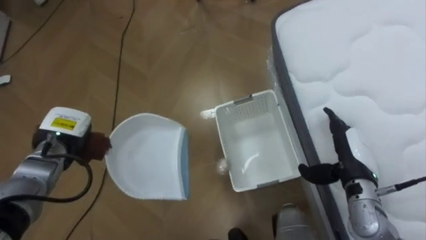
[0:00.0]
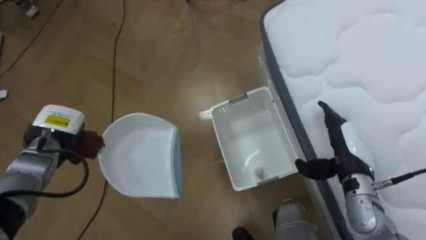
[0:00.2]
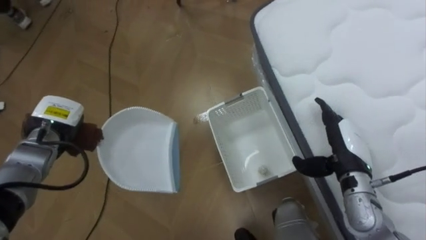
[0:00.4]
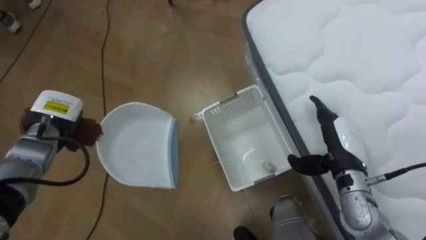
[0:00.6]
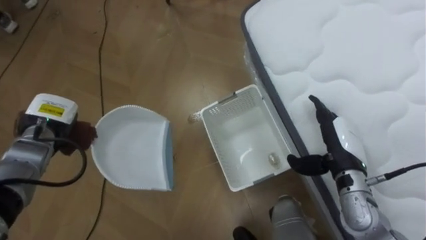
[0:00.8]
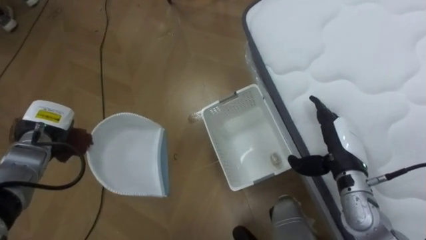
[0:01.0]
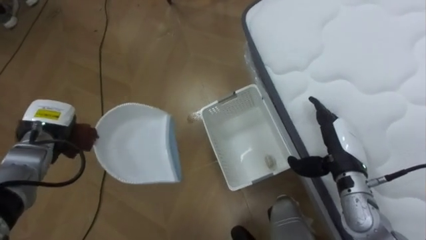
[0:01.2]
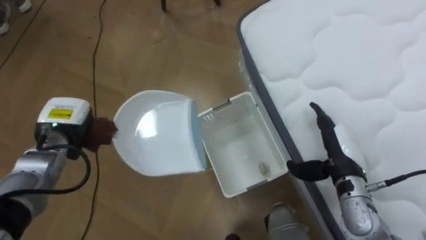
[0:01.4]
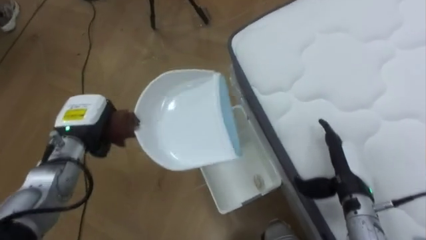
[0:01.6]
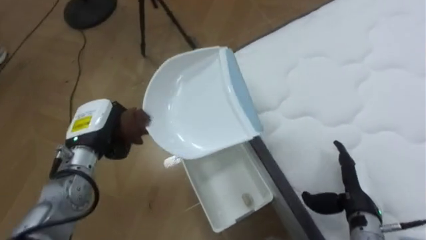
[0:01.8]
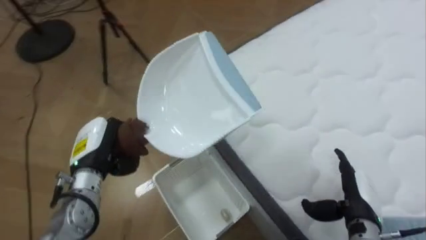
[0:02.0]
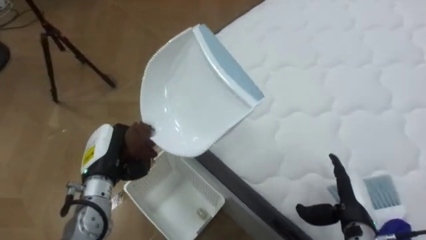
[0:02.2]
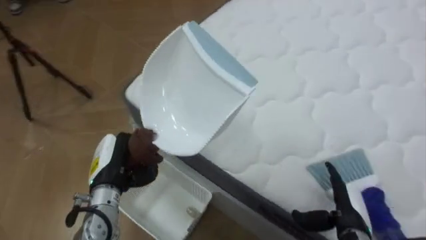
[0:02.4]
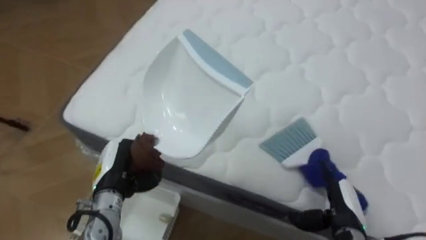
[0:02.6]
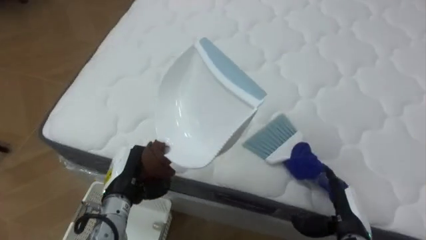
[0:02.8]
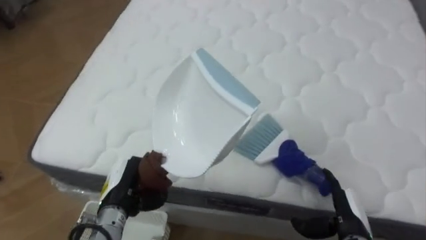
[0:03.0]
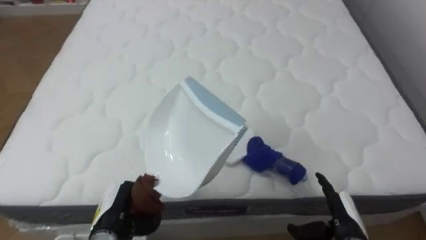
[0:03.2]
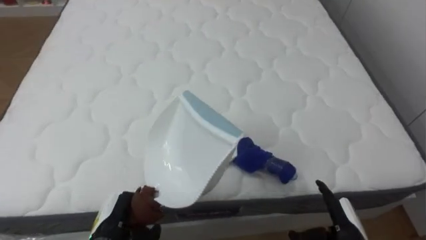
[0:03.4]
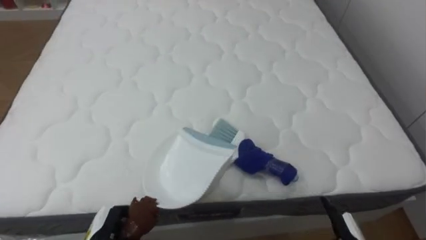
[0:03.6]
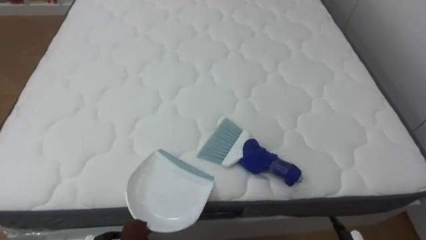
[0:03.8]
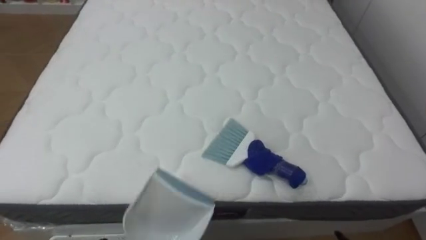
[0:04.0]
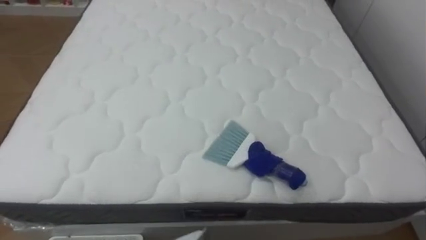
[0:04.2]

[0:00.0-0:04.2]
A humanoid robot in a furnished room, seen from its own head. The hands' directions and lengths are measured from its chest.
Task of the whole recording: Pick up the brush on your right and the dustpan on your left. Use the brush to sweep the crumpled paper on the bed into the dustpan, then turn left and empty it into the basket.
0:01.4 to 0:02.8: The robot turns to its right by about 65 degrees. The left hand moves to the right, backward and downward, approximately 15 cm, while the right hand travels backward and downward by some 10 cm.
0:02.8 to 0:04.2: The robot rotates some 20 degrees to its right.

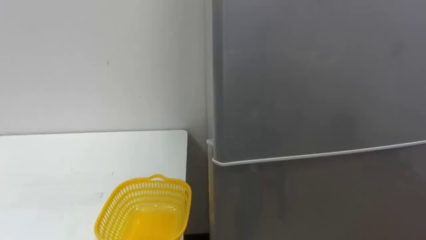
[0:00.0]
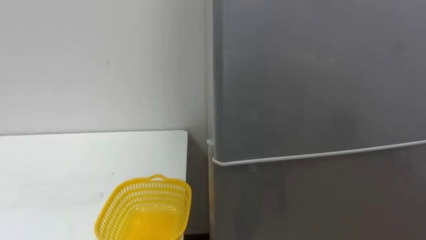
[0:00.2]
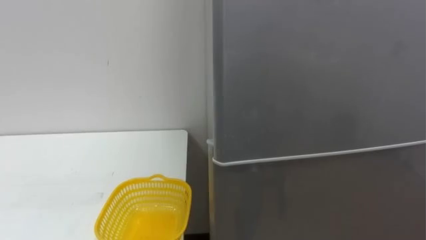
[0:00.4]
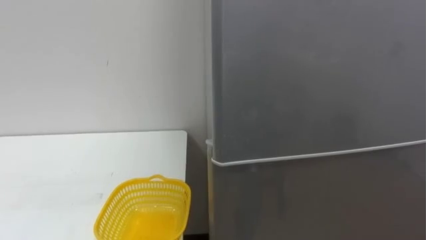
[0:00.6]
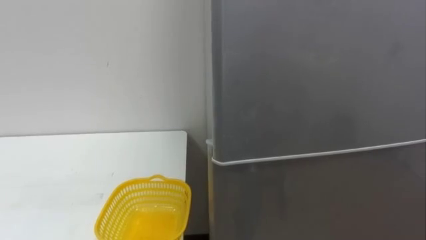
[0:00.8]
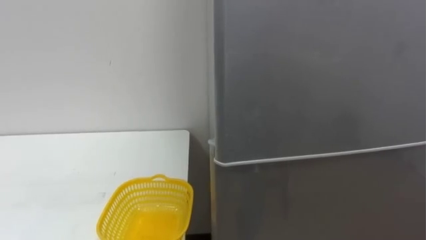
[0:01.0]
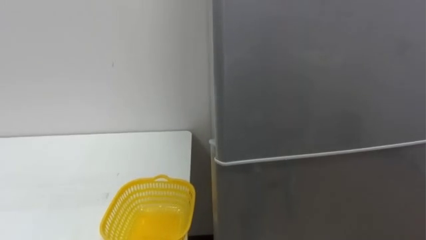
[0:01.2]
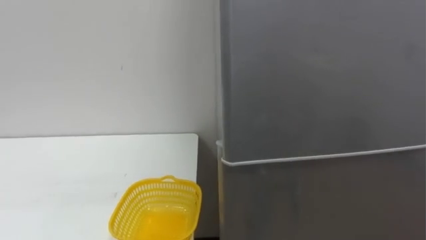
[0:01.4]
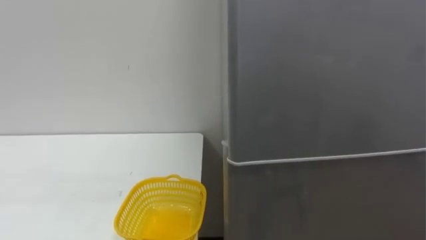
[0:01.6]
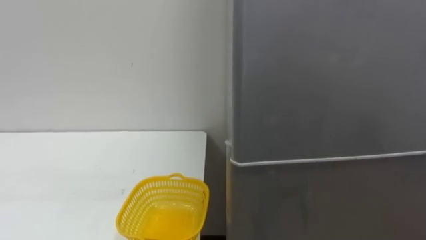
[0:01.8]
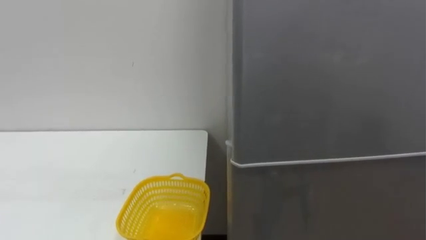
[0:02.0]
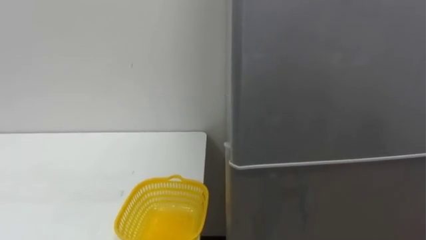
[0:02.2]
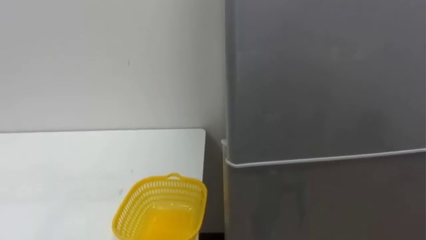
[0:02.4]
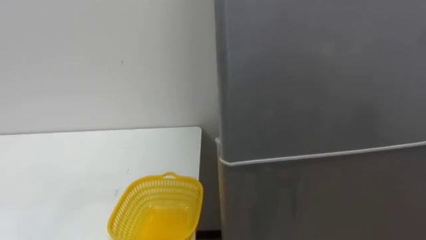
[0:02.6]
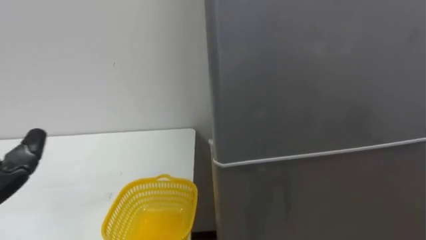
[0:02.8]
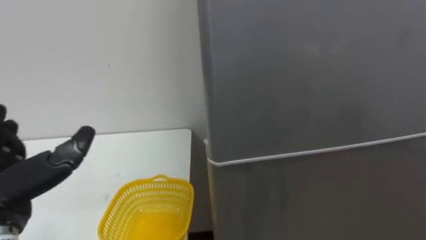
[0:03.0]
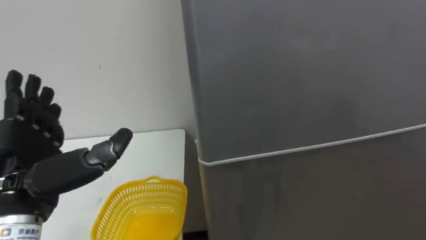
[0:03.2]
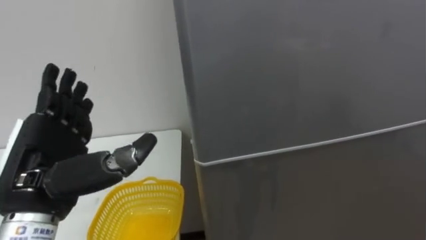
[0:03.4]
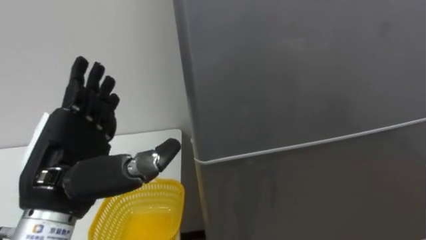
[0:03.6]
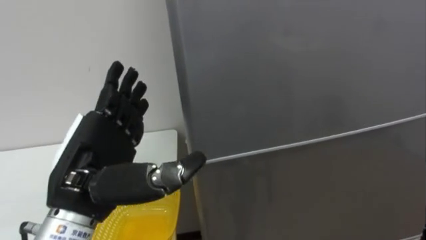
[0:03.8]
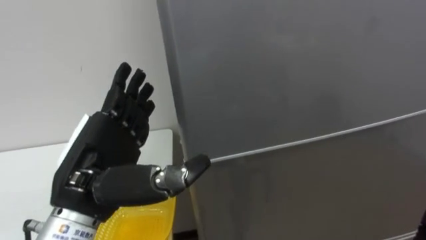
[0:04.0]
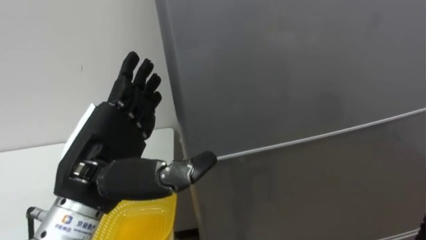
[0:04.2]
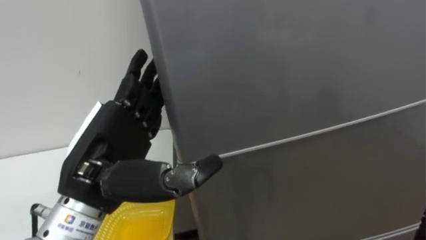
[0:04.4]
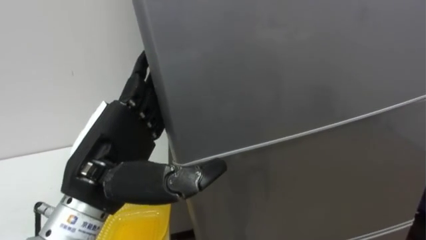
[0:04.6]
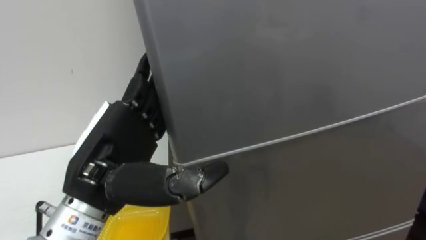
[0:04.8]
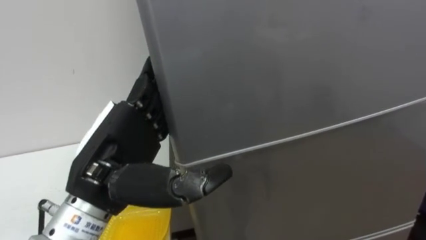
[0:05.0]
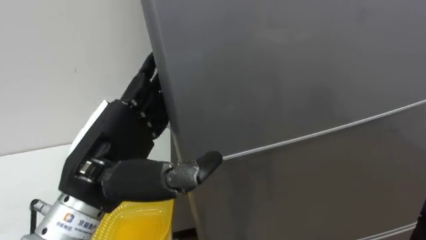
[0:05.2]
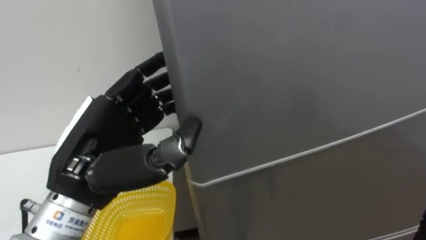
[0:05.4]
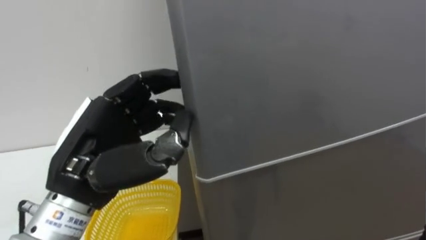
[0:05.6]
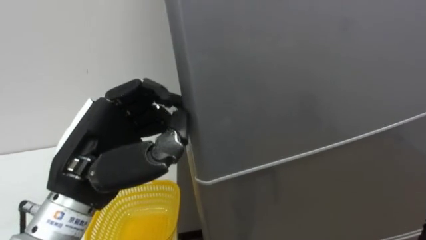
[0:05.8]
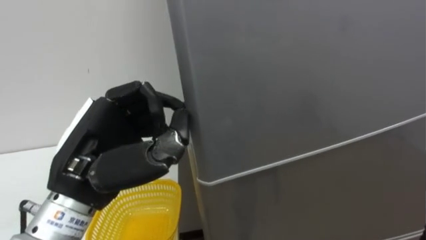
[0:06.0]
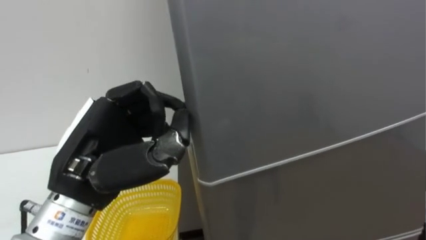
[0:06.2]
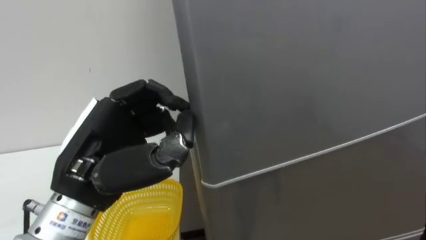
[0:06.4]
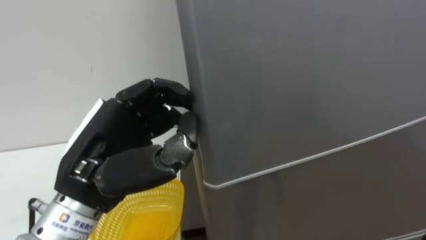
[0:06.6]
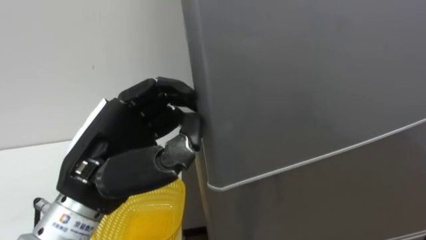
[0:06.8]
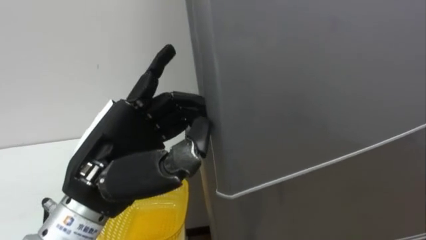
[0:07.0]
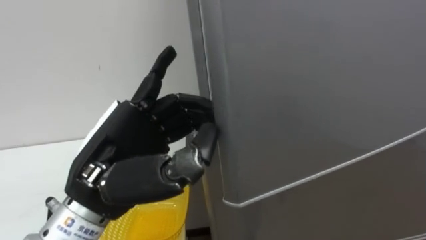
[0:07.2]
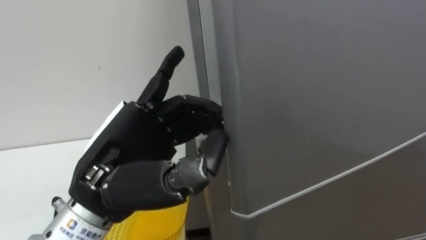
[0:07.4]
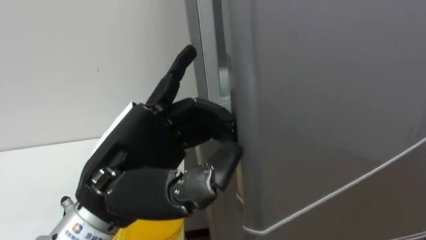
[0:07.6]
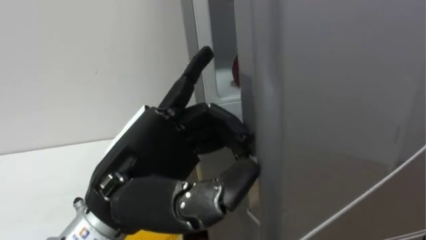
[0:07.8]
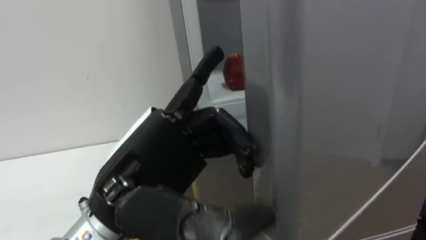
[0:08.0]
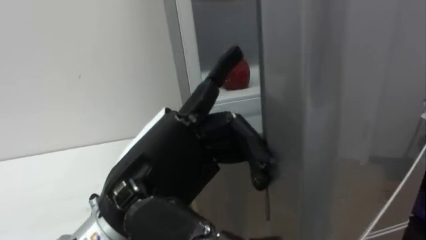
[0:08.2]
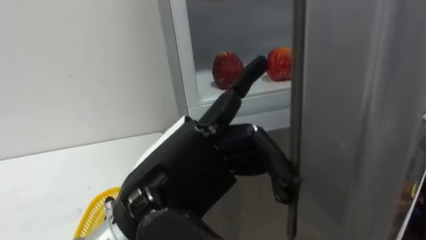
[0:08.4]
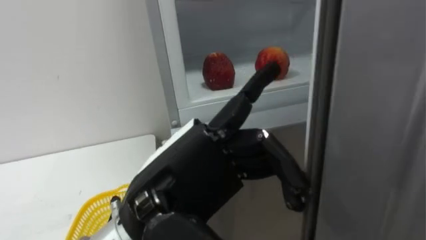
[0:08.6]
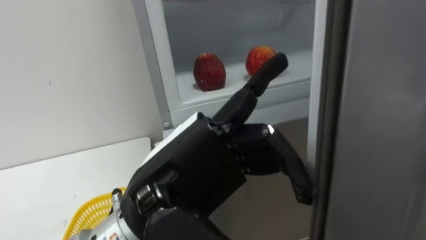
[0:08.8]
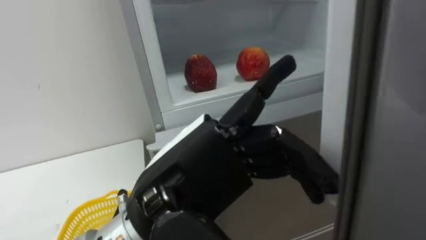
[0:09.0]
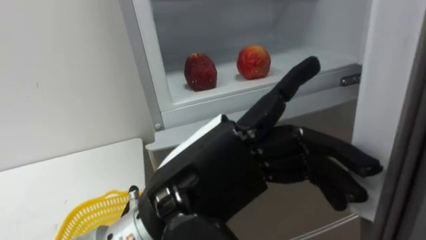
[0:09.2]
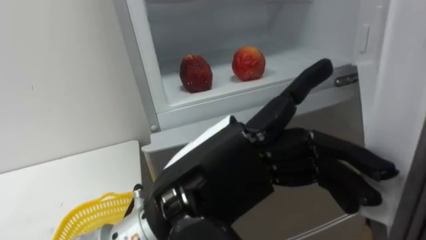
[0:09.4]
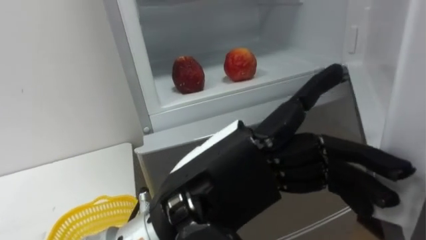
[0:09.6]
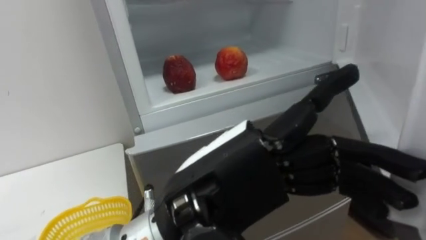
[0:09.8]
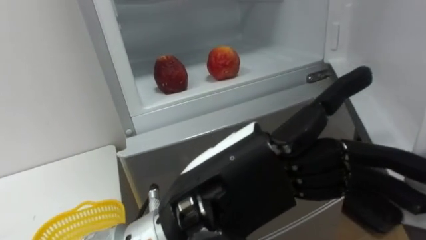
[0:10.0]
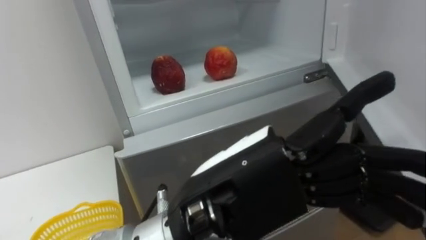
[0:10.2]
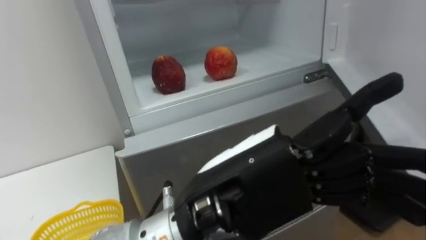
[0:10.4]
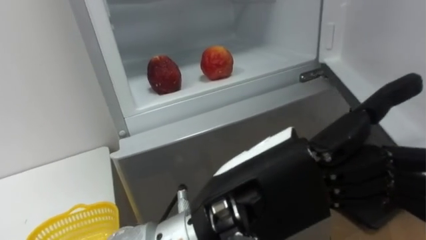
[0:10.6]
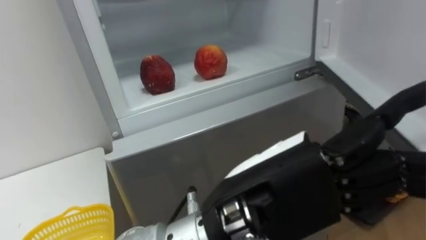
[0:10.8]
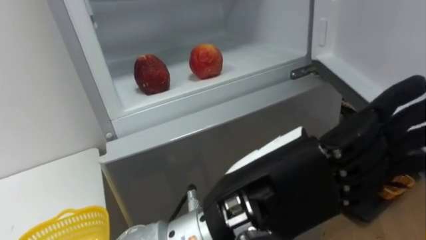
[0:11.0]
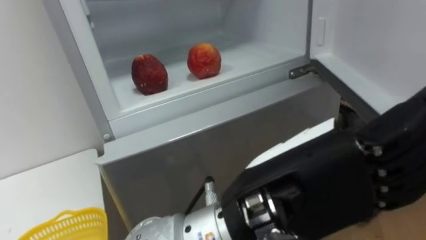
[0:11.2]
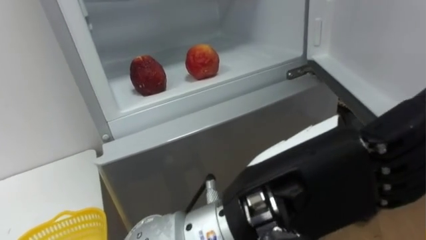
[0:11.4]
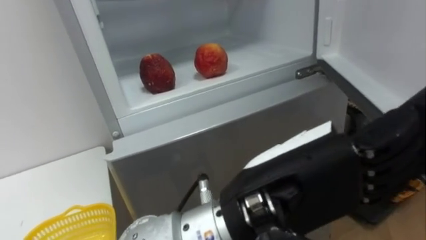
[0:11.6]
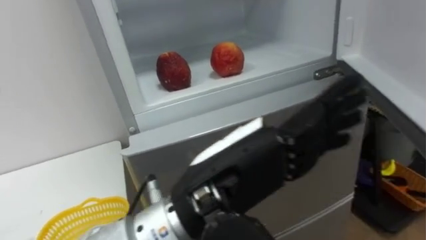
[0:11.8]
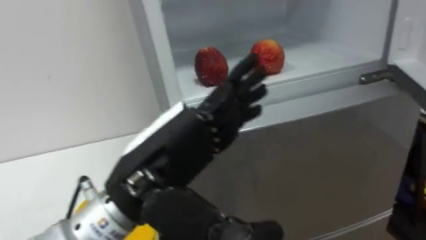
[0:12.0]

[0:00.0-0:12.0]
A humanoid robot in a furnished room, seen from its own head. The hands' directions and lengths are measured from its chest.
Task of the whole recording: Open the refrigerator door, take out the apple and the pomegranate, place them in the fruit basket on the left, and close the refrigerator door.
0:04.4 to 0:06.0: The left hand closes up.
0:06.0 to 0:07.6: The left hand shifts by about 5 cm, and opens its fingers.
0:07.6 to 0:09.0: The left hand shifts some 5 cm to the right.
0:09.0 to 0:10.4: The left hand ends up approximately 5 cm from where it was.
0:10.4 to 0:12.0: The left hand moves to the left and forward, roughly 10 cm.
